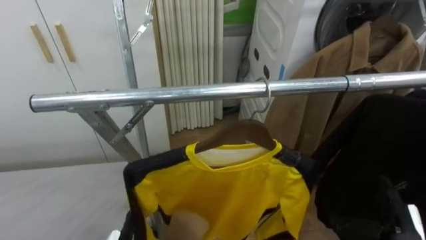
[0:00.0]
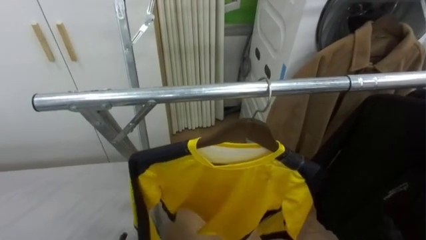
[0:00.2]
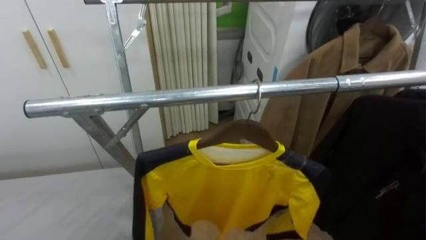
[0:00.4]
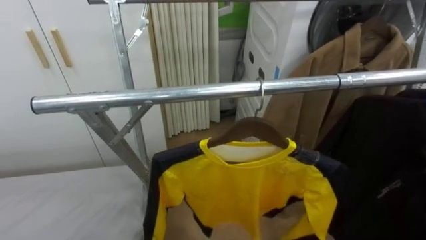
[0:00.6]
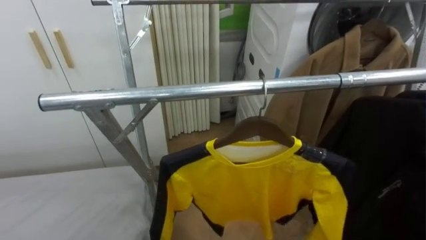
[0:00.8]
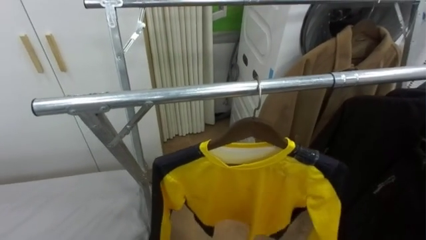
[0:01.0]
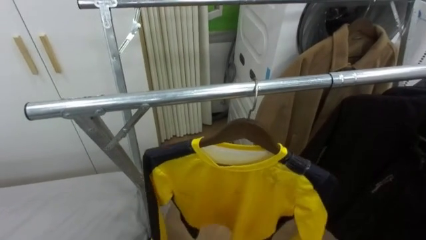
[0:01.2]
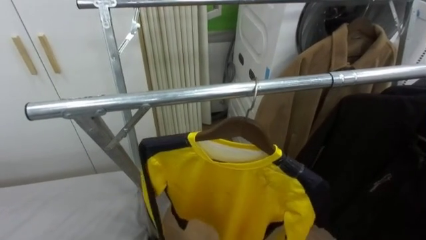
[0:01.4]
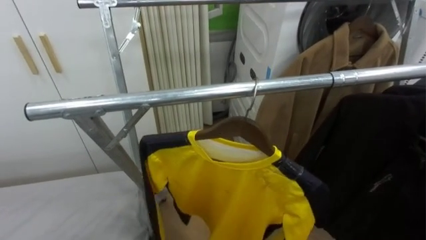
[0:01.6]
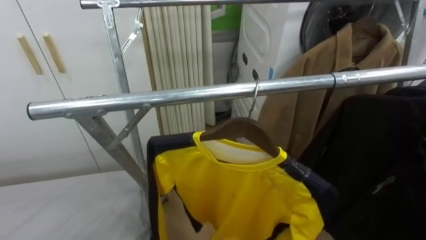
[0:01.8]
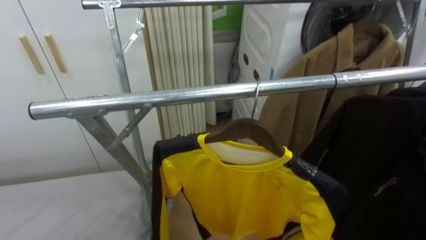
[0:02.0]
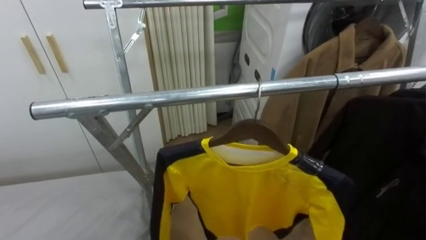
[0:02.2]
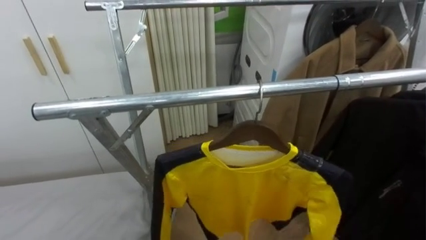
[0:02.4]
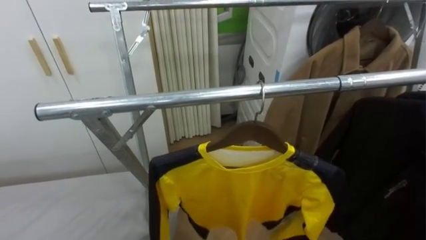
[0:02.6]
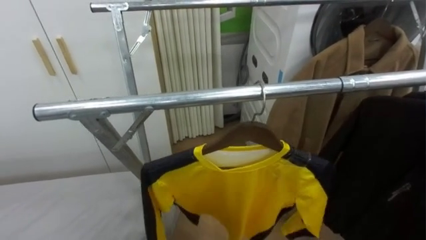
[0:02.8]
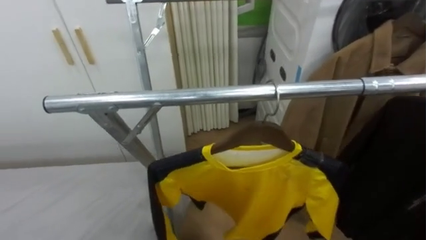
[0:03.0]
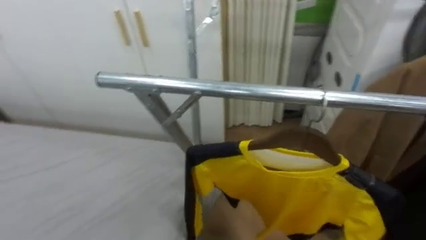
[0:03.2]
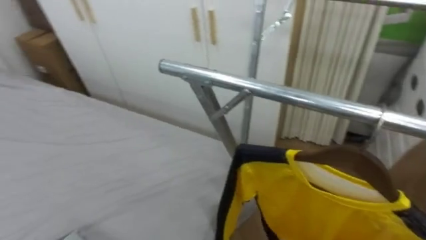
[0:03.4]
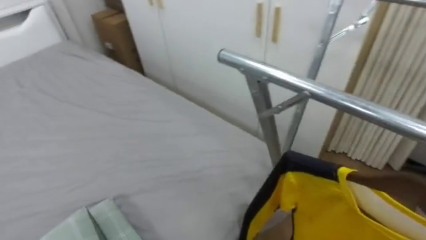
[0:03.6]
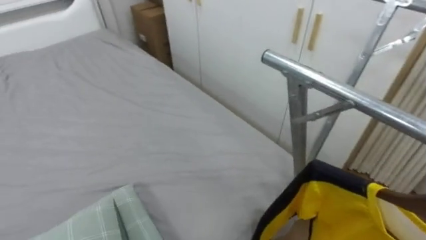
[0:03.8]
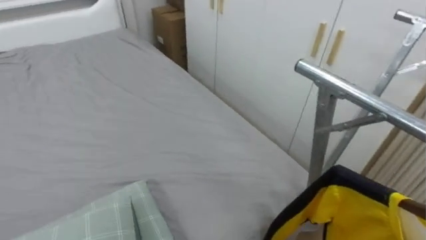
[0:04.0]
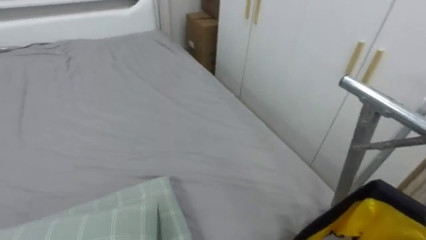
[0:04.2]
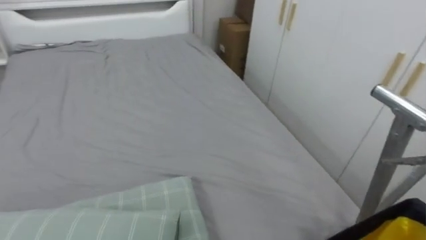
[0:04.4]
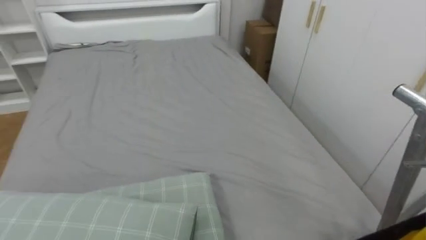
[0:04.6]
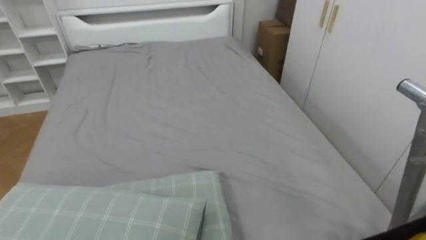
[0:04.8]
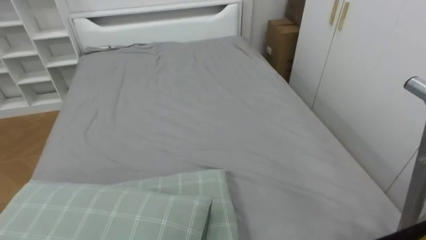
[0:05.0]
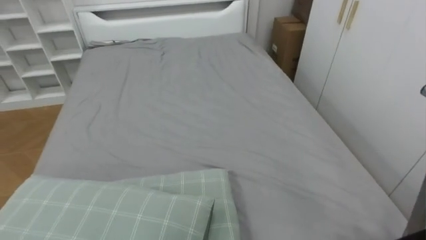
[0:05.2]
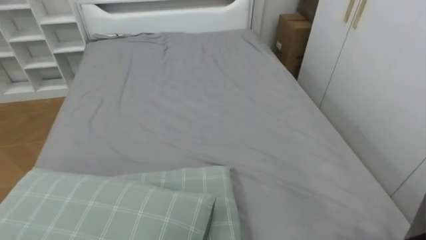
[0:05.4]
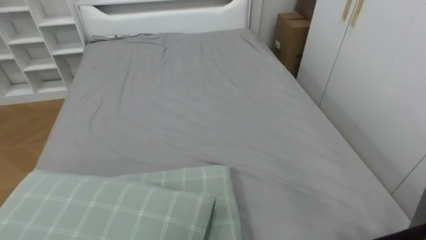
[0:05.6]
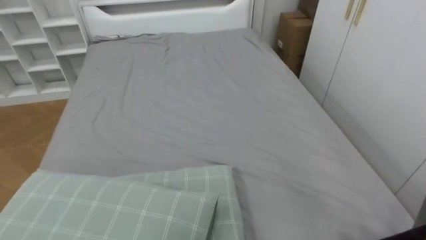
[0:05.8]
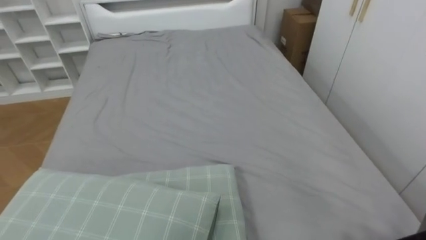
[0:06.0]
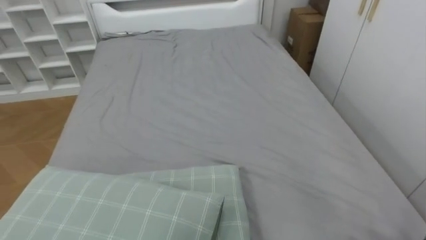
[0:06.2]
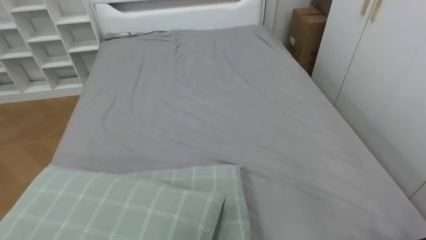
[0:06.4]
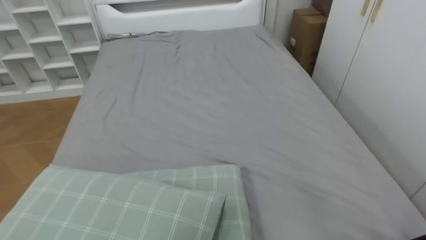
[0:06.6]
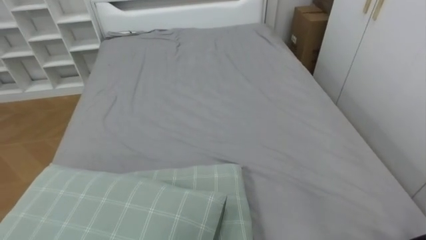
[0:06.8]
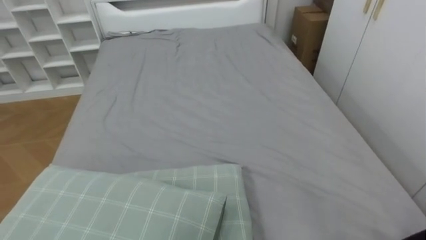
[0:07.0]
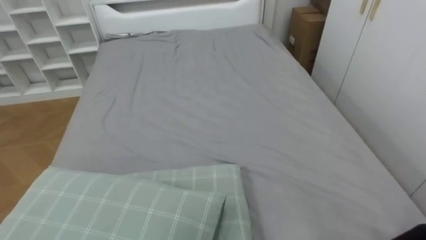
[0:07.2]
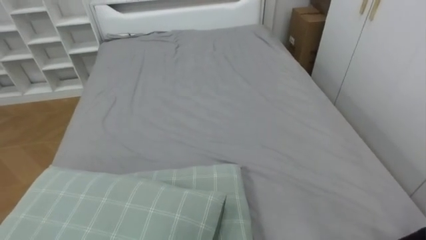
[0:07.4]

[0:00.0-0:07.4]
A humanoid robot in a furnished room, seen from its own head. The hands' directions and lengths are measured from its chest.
Task of the whole recording: Pick up the yellow shirt on the bed and hang it on the clothes rack on the right.
0:03.0 to 0:04.4: The robot turns to its left by approximately 70 degrees.

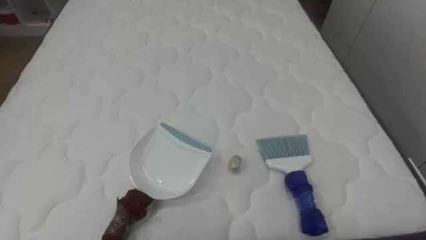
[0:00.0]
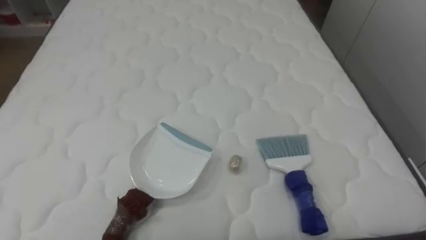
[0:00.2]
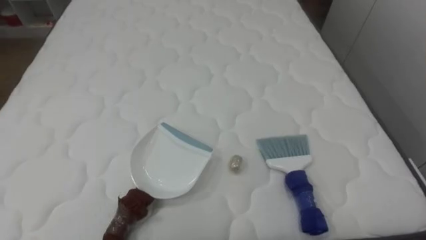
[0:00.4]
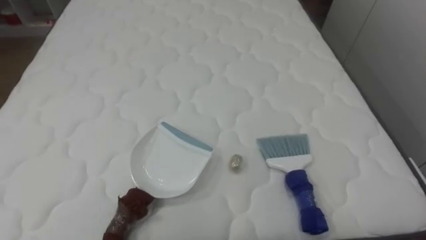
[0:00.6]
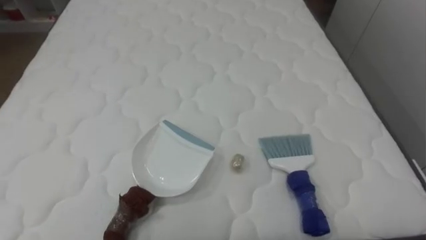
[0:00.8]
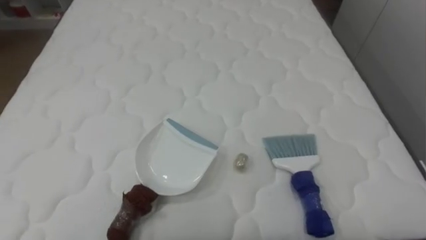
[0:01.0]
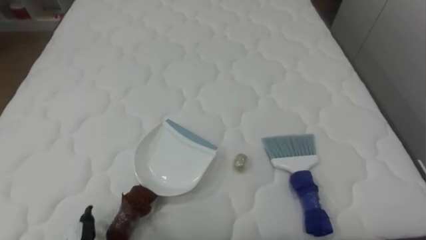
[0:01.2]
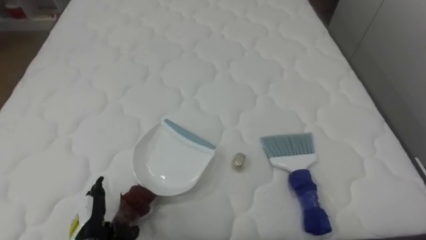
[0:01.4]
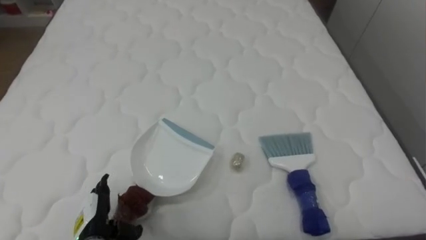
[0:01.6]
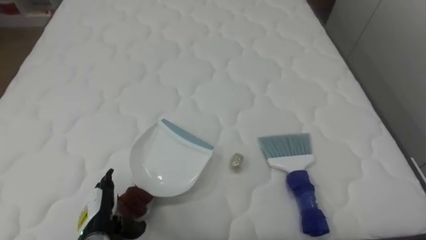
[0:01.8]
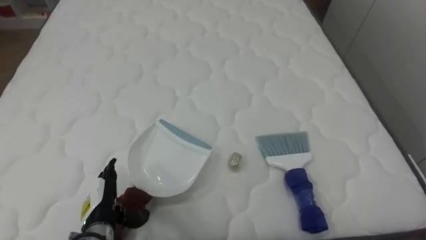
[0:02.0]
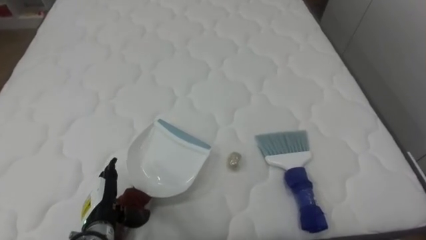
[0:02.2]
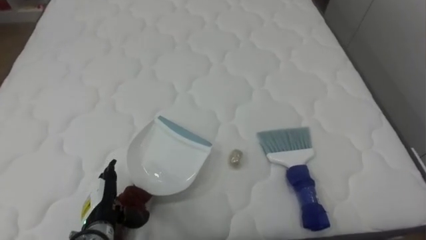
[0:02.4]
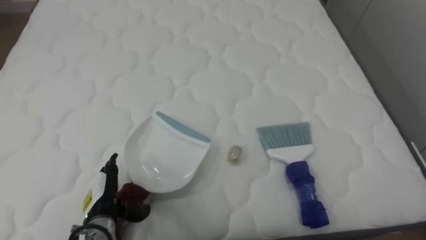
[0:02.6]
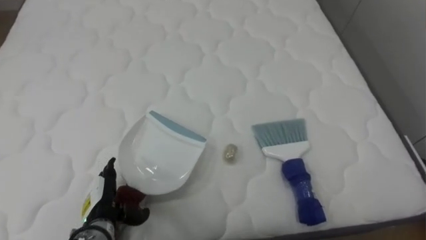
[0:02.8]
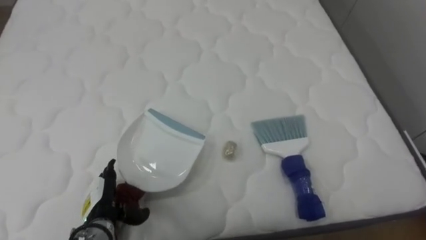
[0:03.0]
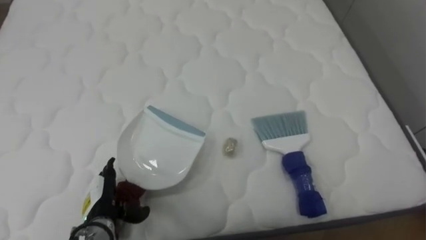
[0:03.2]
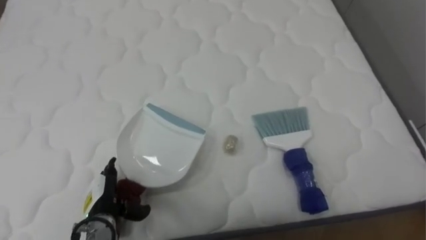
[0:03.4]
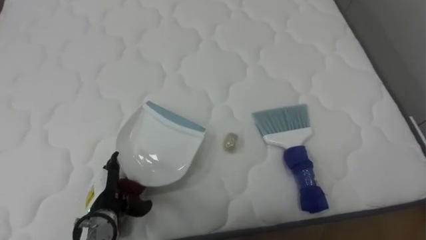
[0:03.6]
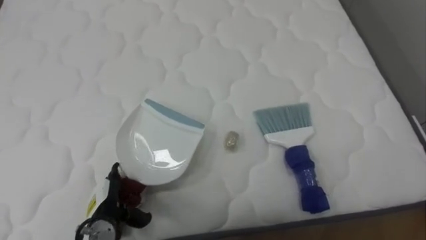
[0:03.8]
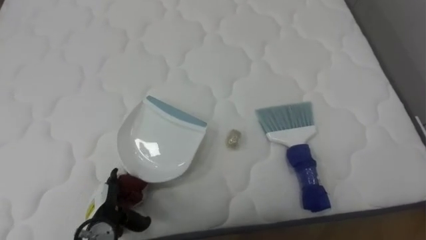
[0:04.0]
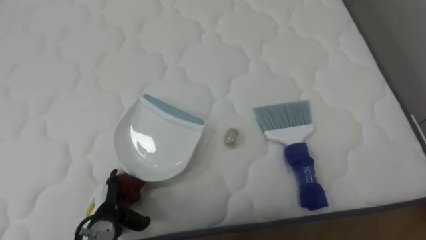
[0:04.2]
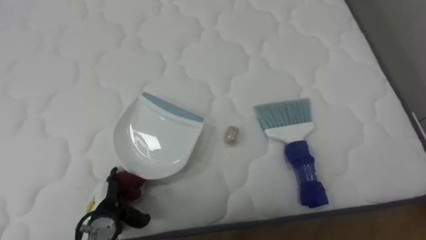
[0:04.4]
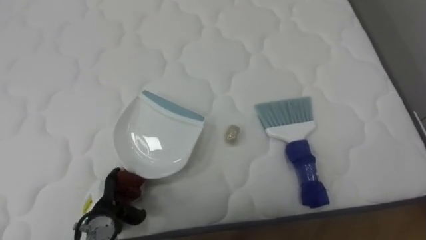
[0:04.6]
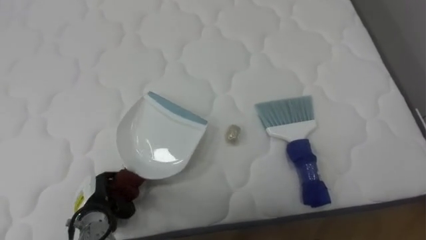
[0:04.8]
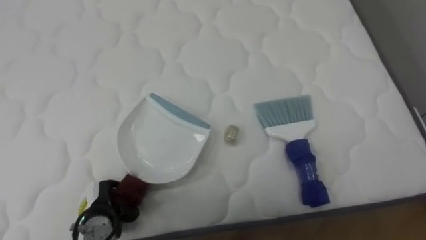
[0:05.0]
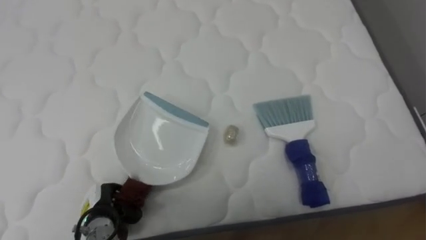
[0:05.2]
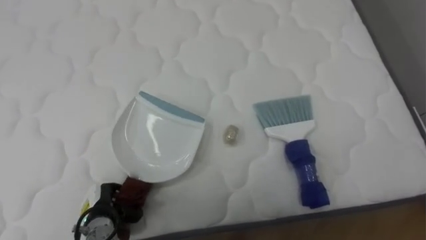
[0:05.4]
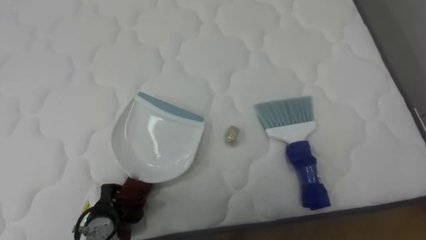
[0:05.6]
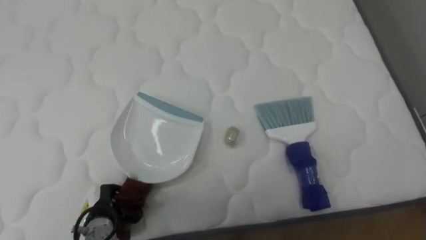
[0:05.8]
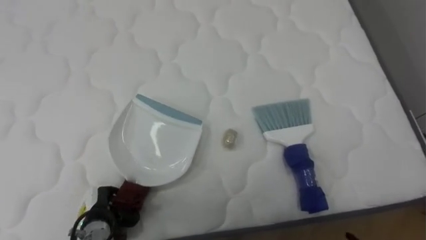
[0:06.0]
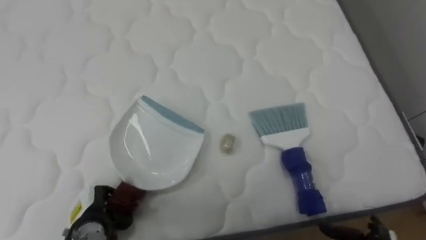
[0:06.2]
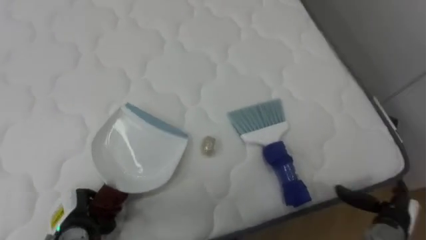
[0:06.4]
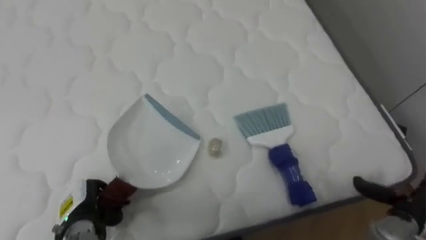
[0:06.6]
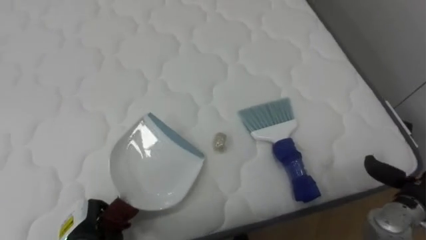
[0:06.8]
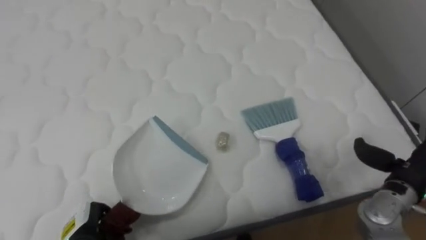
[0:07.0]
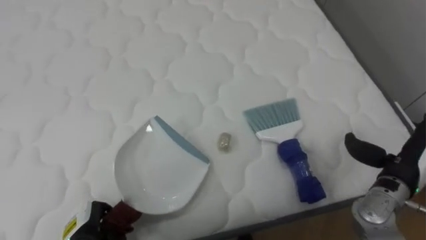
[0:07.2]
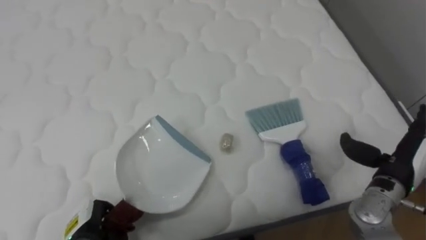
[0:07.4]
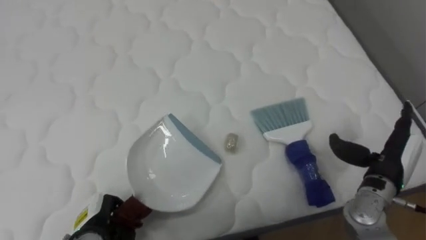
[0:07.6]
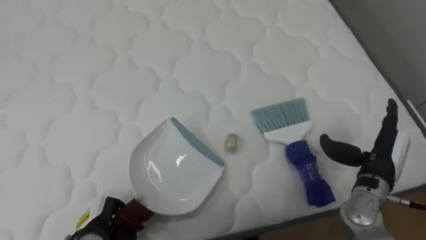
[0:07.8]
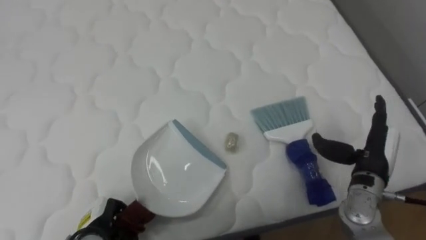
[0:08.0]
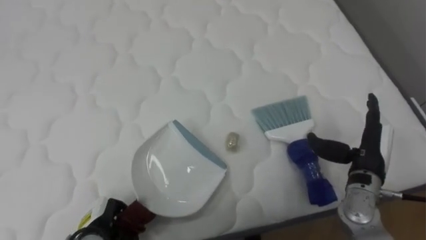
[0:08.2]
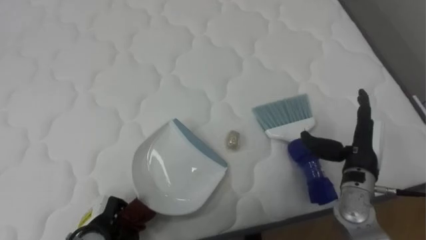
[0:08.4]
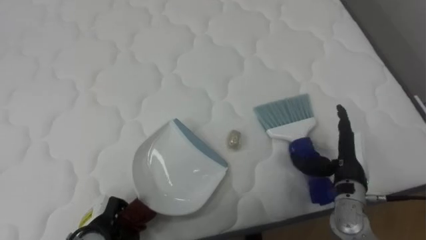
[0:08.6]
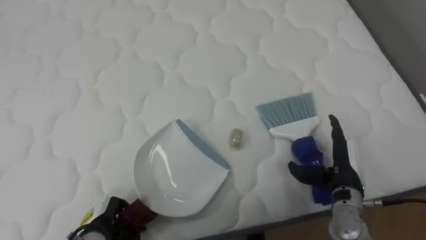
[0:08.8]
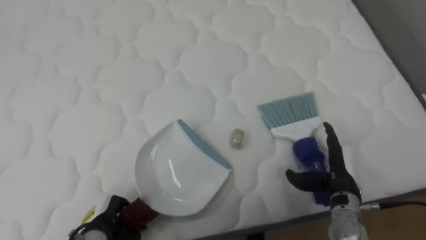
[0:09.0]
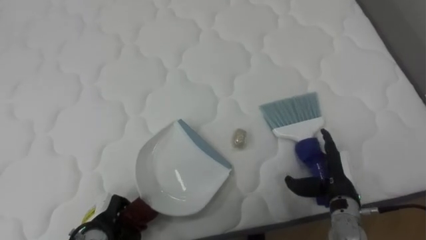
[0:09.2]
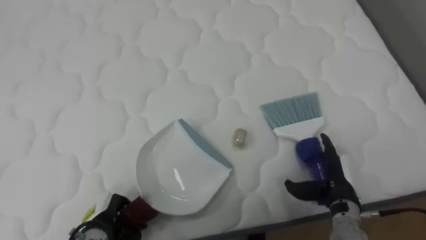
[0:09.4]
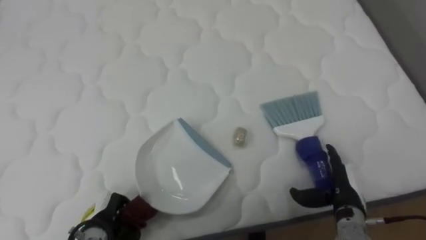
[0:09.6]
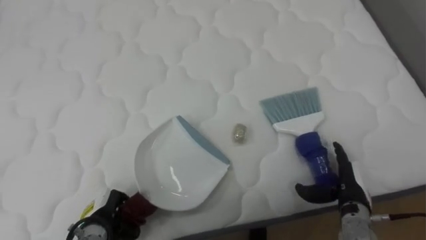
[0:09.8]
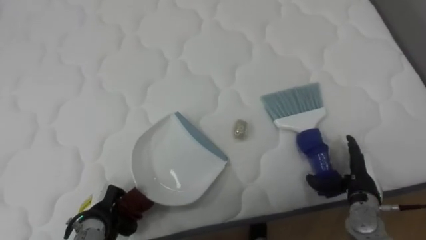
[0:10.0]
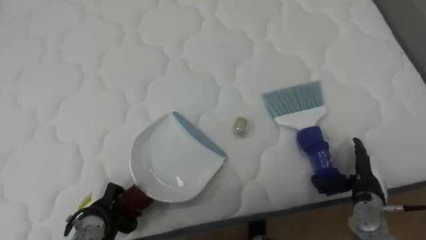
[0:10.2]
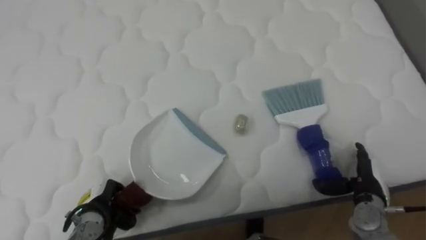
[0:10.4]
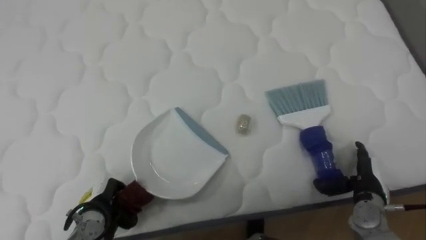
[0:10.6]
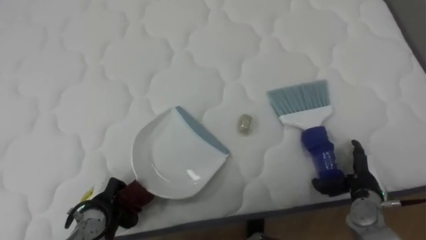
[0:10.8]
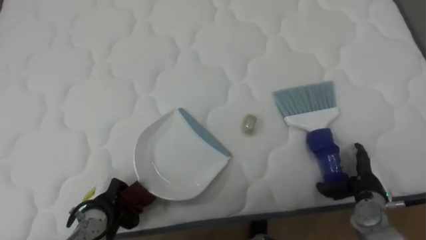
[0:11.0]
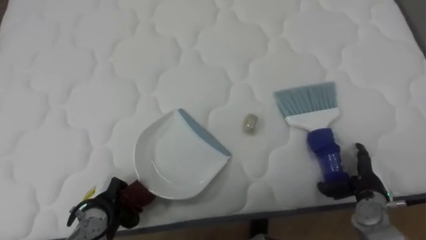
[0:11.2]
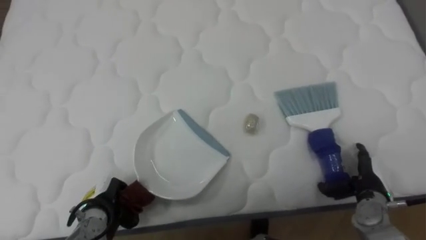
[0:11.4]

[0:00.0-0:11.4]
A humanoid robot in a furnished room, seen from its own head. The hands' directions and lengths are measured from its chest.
Task of the whole recording: Pick up the brush on your right and the dustpan on your left. Use the brush to sweep the crumpled paper on the bed into the dustpan, then turn left and empty it into the basket.
0:01.4 to 0:02.8: The left hand changes place by roughly 5 cm.
0:04.2 to 0:05.6: The left hand closes its fingers.
0:07.2 to 0:08.6: The right hand goes about 10 cm to the left.
0:08.6 to 0:10.0: The right hand is displaced downward by some 5 cm.
